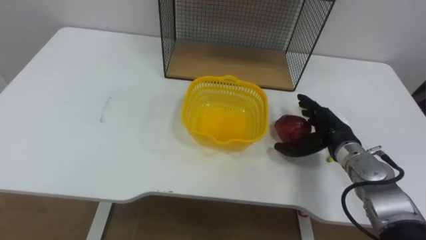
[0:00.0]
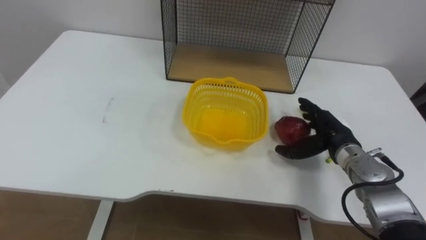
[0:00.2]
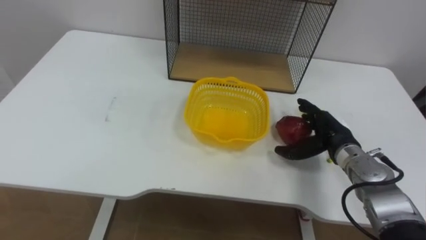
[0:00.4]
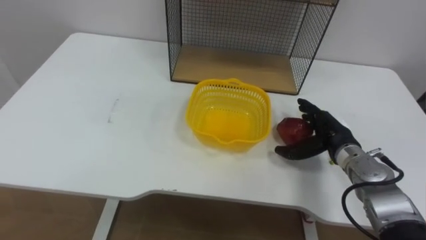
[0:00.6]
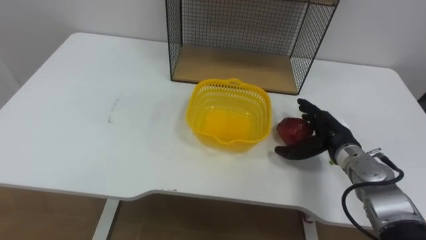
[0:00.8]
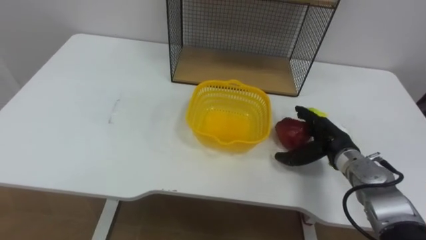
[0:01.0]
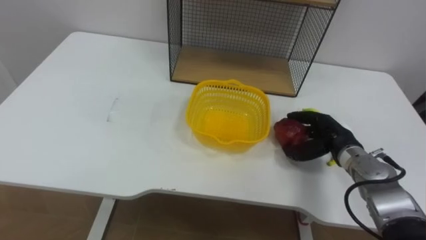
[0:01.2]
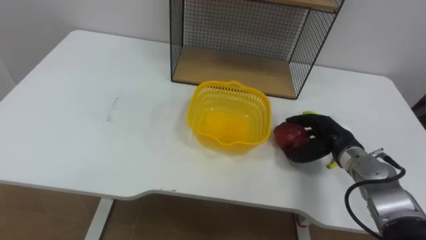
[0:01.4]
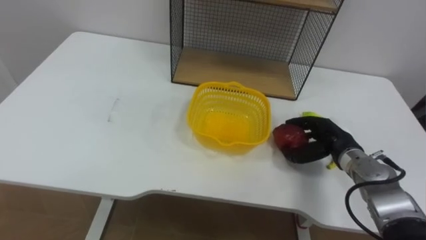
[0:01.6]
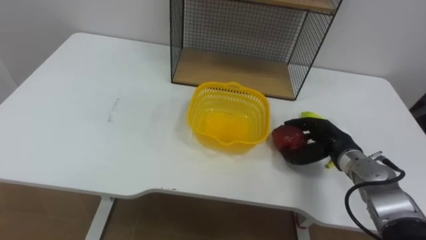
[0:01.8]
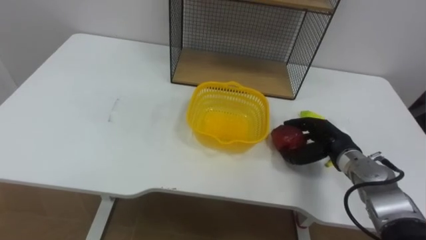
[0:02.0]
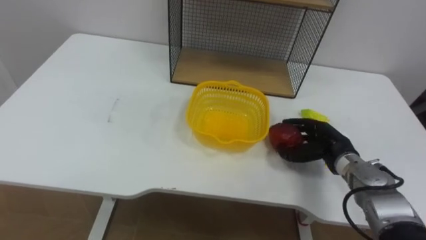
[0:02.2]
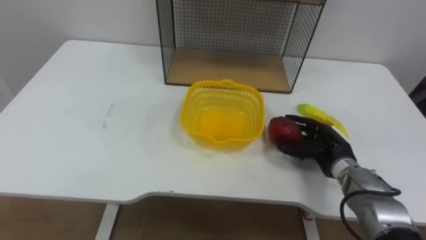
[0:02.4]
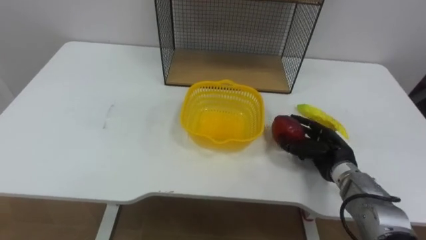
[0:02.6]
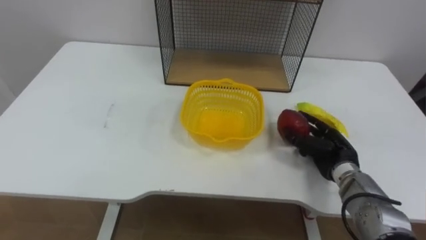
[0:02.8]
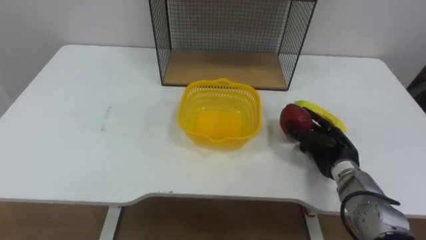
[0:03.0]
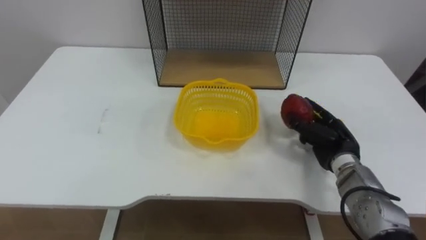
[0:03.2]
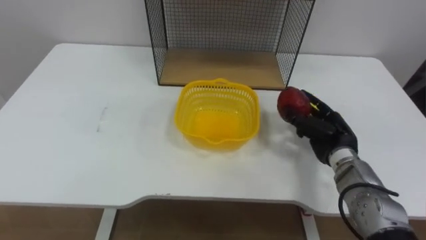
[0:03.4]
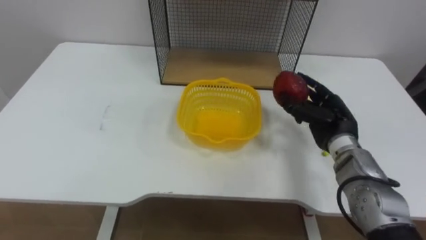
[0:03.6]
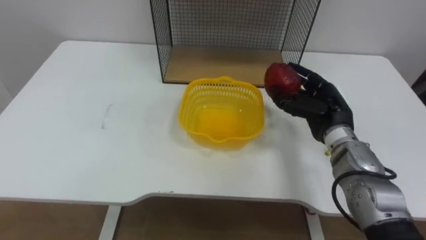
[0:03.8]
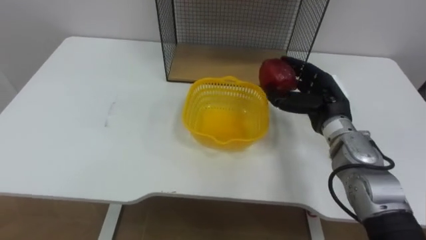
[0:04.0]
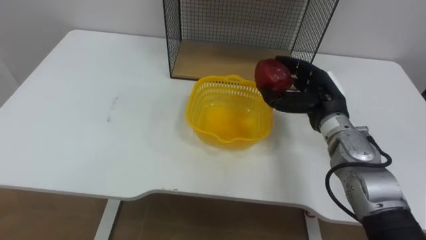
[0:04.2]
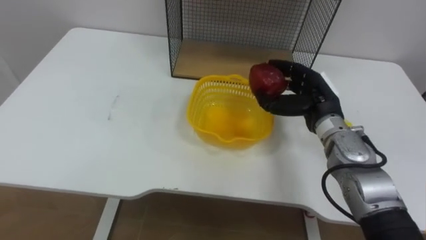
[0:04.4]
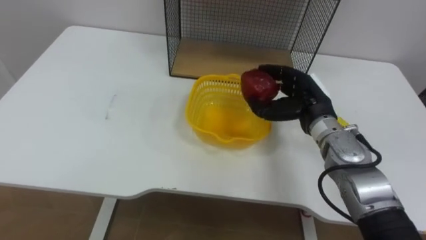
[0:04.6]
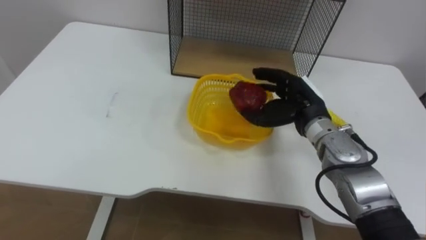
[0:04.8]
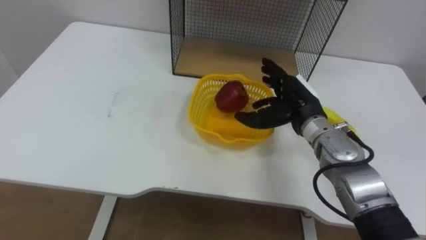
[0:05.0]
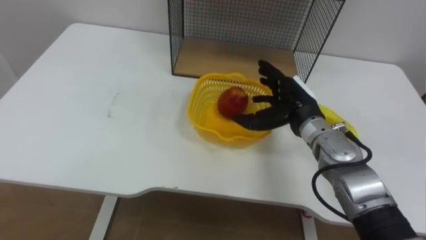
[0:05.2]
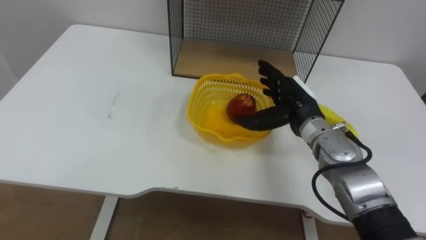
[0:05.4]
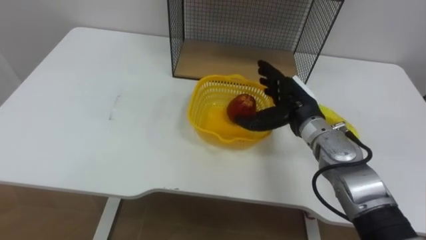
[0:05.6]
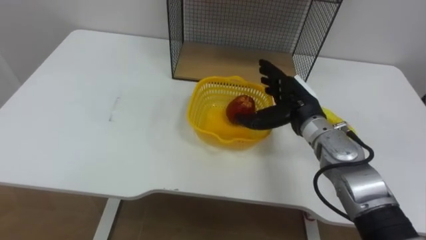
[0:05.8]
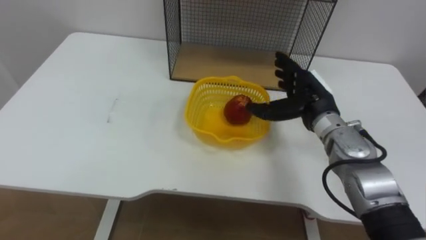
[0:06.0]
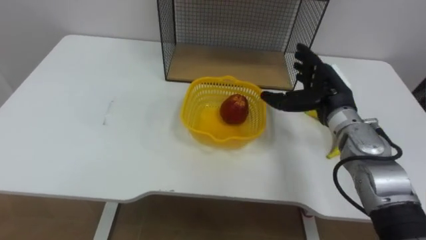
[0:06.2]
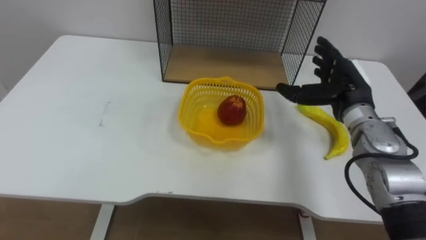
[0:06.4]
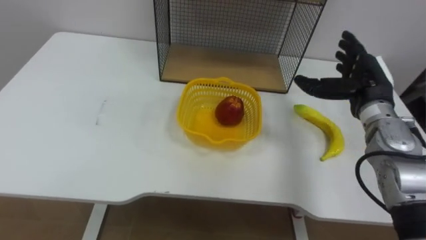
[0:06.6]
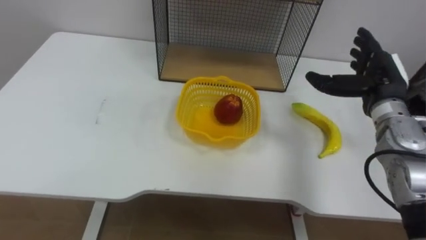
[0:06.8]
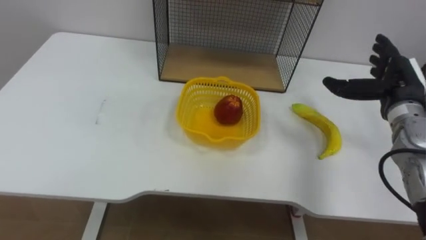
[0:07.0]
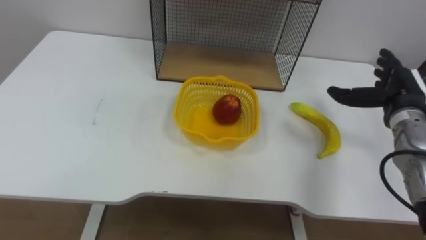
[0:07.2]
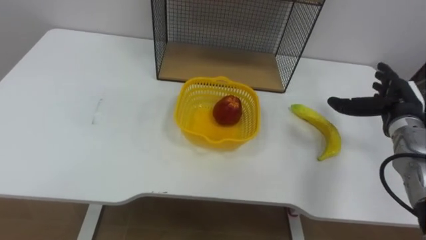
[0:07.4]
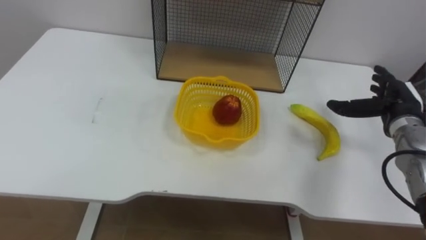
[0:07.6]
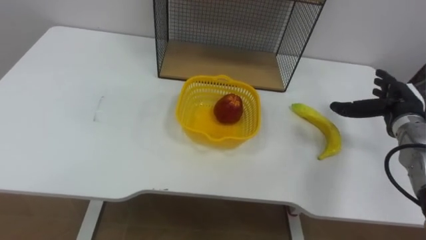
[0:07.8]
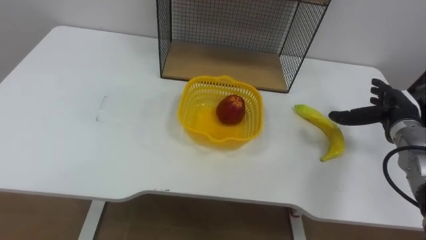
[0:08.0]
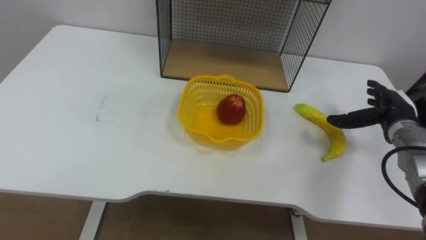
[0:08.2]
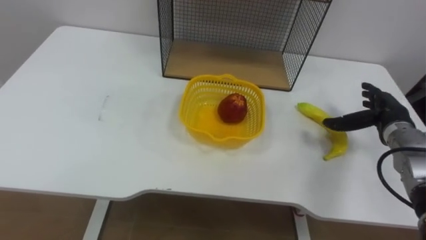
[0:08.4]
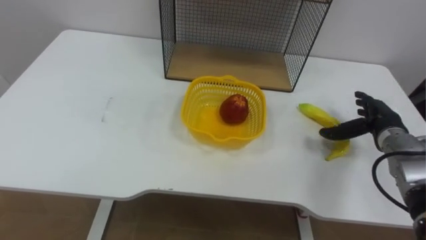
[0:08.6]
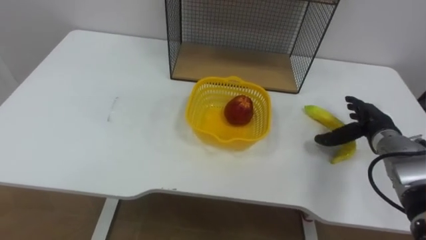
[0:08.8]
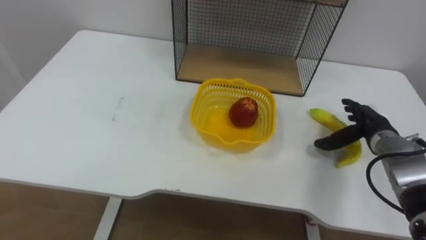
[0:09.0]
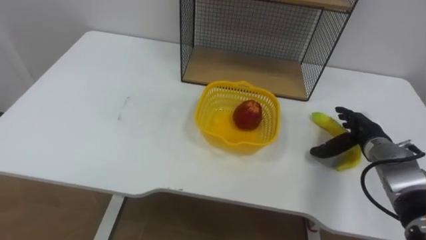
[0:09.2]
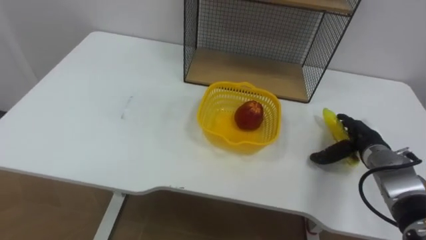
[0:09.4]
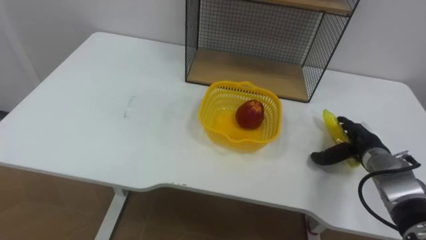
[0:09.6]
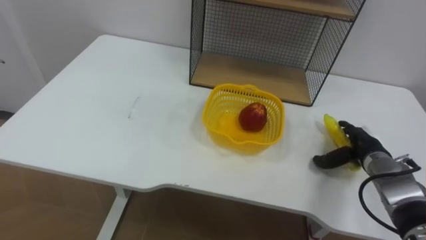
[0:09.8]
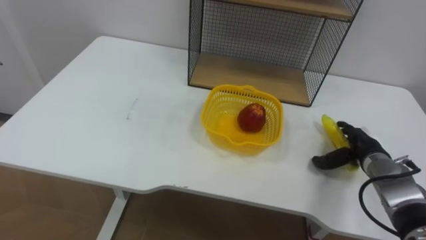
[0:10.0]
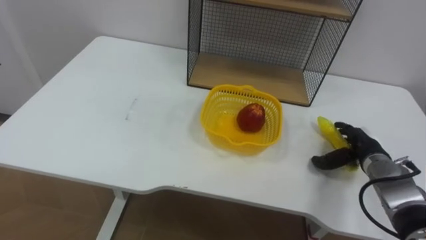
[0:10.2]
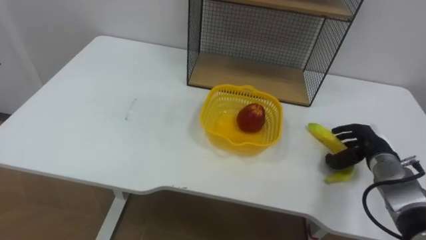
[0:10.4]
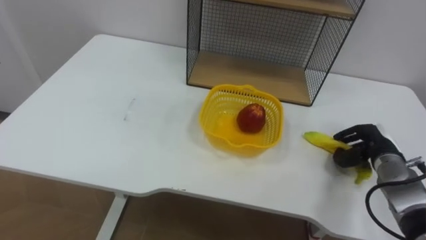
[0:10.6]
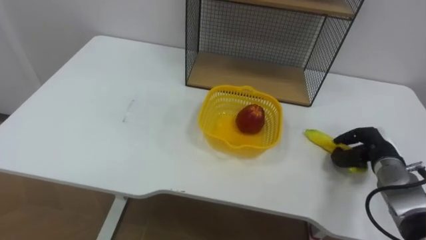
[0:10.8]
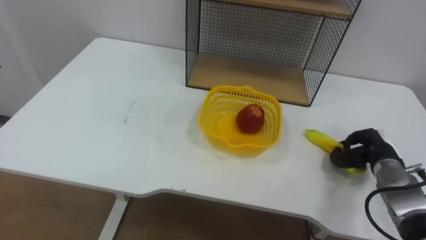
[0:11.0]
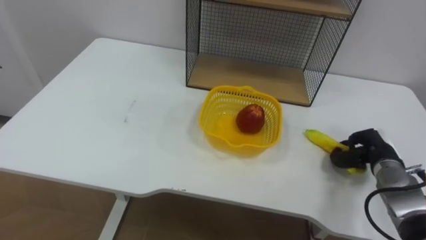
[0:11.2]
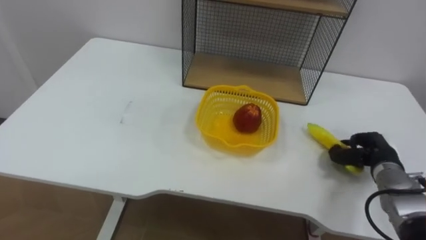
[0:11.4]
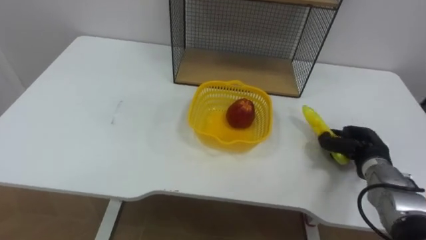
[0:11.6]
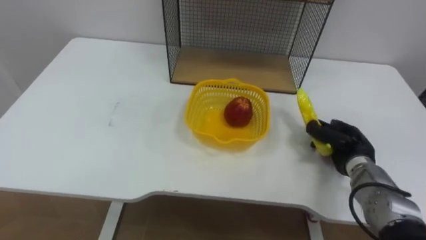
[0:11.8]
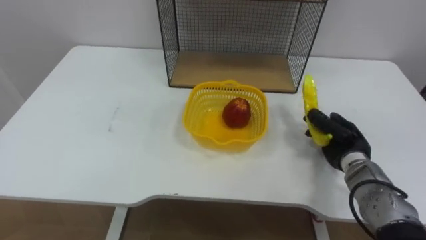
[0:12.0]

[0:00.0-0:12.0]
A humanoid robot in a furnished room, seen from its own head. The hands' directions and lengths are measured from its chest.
Task of the whole recording: Put the fruit on the table into the basket, then place the basket on the shelf.
0:00.0 to 0:01.6: The right hand closes.
0:03.0 to 0:04.4: The right hand moves upward and to the left, roughly 10 cm.
0:04.4 to 0:06.0: The right hand opens.
0:06.0 to 0:07.6: The right hand goes approximately 15 cm to the right.
0:07.6 to 0:09.0: The right hand goes roughly 5 cm downward.
0:09.0 to 0:10.4: The right hand shifts by about 5 cm, and closes its fingers.
0:10.4 to 0:12.0: The right hand goes roughly 5 cm to the left.

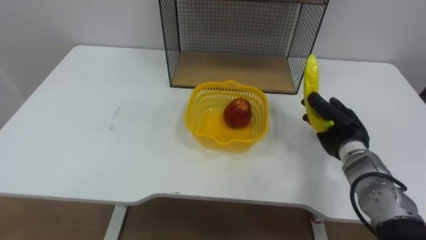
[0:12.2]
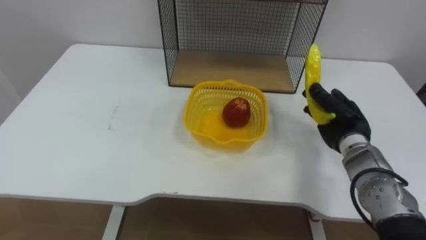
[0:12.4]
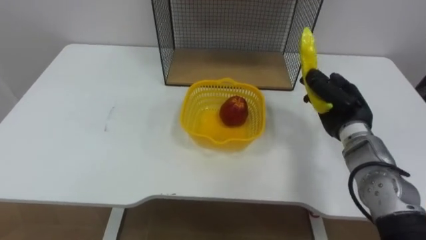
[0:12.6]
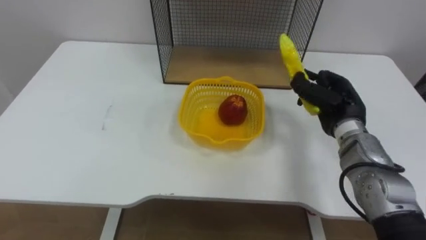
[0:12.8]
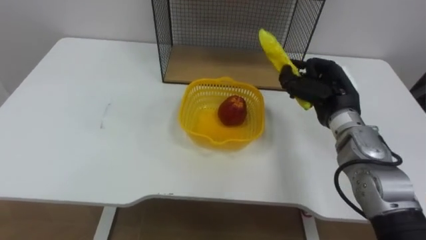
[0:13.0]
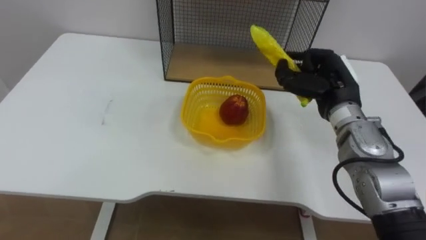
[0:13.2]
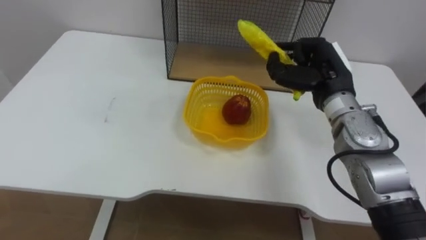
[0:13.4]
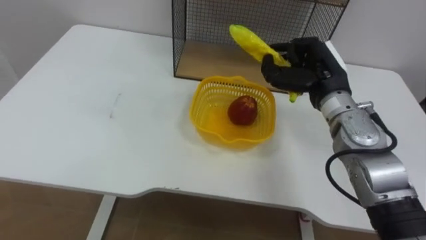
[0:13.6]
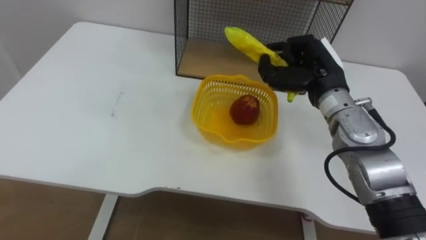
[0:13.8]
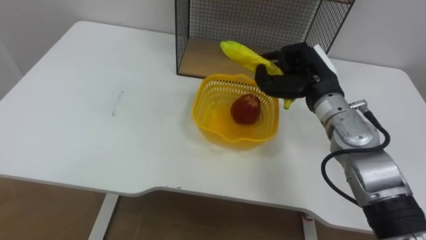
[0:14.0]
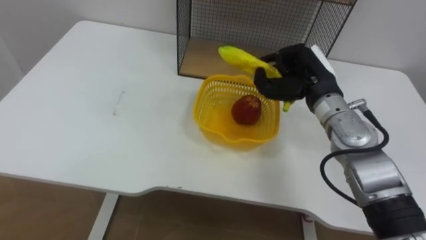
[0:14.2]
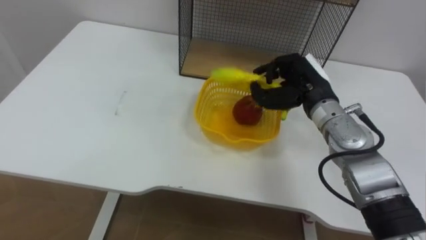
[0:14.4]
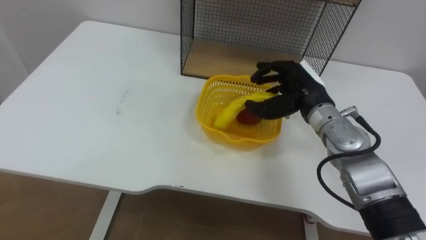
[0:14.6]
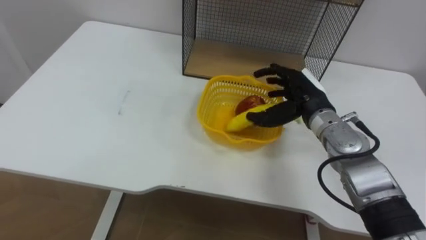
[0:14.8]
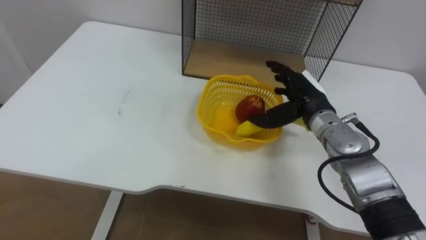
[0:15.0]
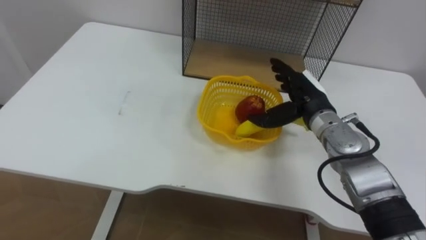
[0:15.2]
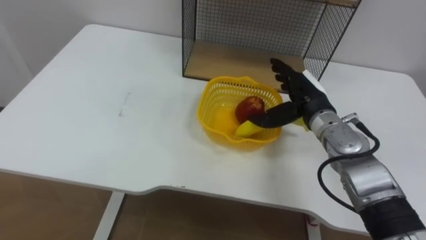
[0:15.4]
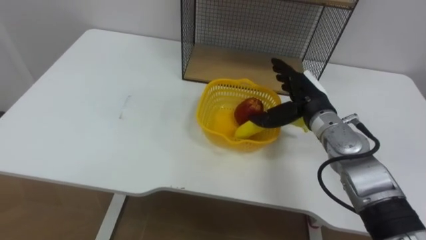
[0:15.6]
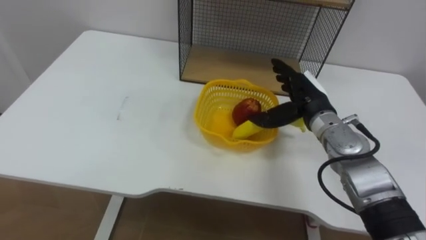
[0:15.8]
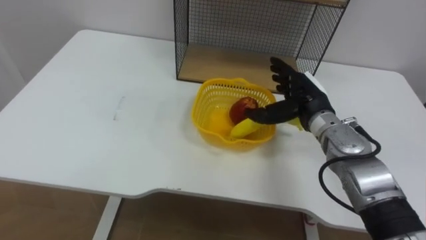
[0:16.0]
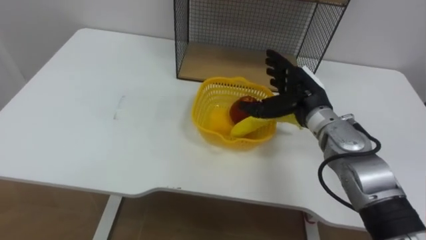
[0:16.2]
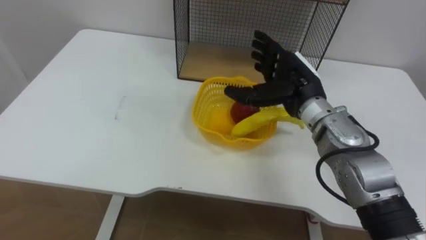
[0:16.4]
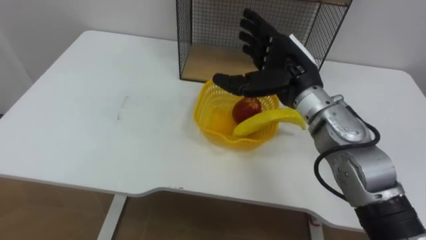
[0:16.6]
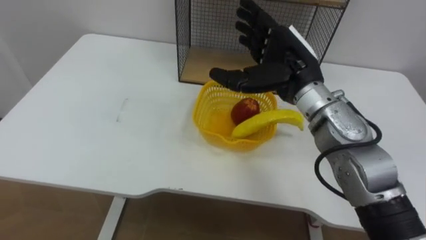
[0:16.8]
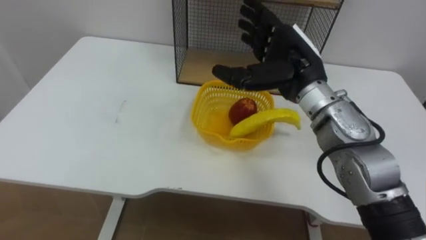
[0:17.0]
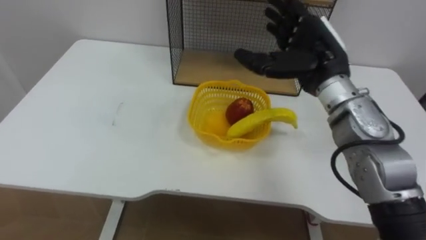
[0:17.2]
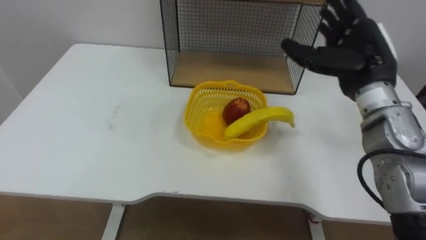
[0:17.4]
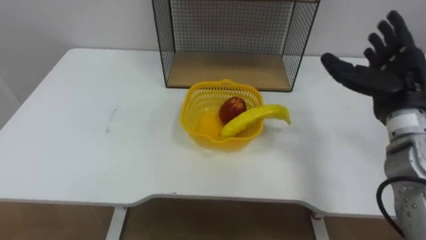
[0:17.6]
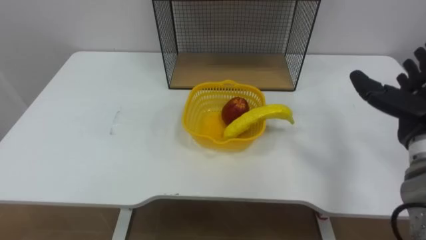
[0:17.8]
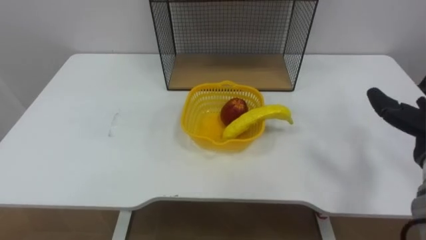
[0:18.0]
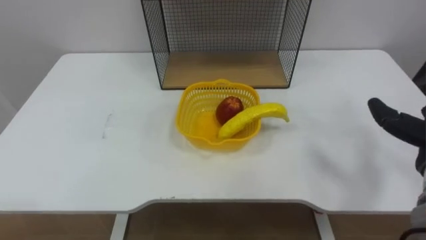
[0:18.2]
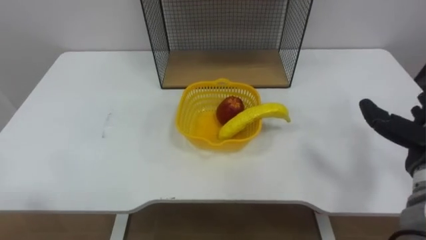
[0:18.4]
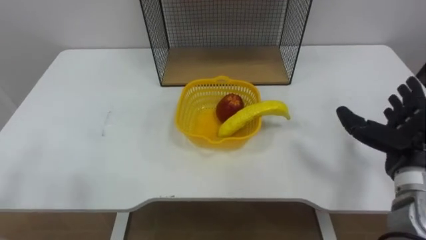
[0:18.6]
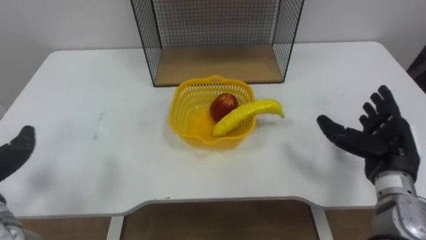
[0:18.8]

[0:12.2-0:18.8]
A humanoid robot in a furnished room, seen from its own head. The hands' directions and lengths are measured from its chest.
Task of the whole recording: Put the fruit on the table into the basket, then place the basket on the shelf.
0:12.2 to 0:13.8: The right hand heads upward and to the left, covering roughly 15 cm.
0:13.8 to 0:15.4: The right hand heads downward, covering some 5 cm, and opens its fingers.
0:15.4 to 0:17.2: The right hand travels upward by about 10 cm.
